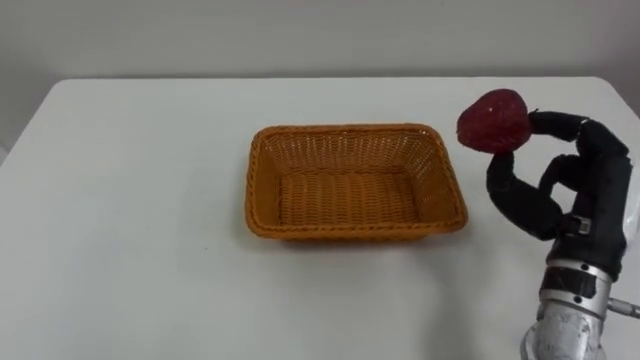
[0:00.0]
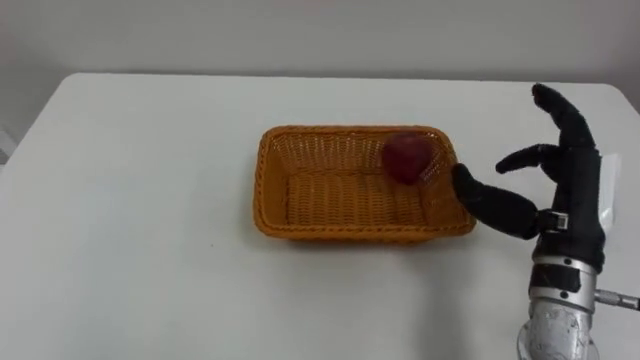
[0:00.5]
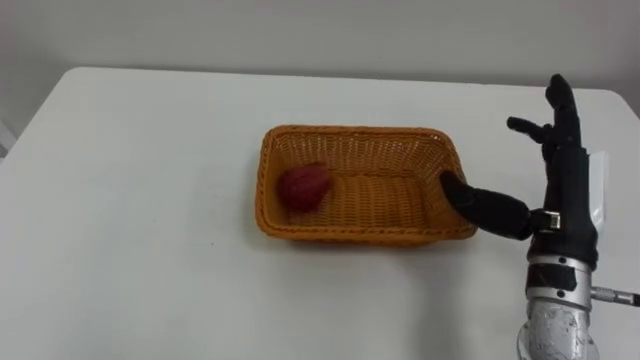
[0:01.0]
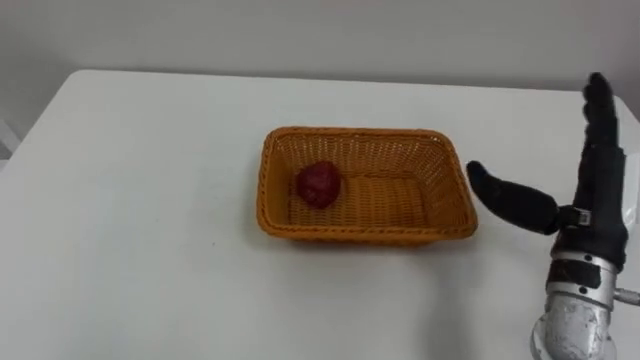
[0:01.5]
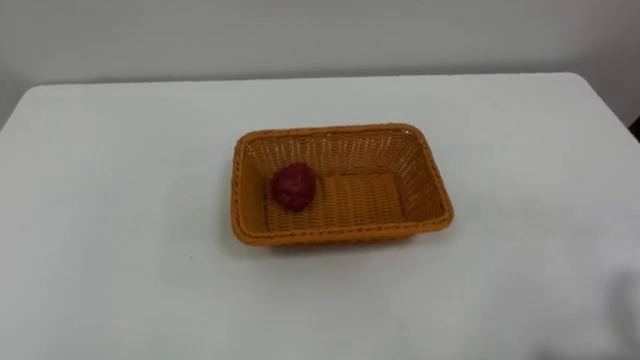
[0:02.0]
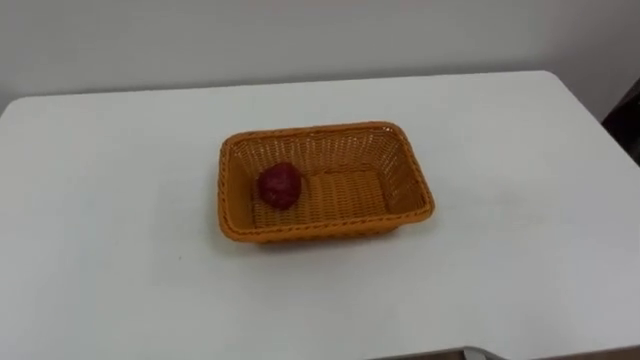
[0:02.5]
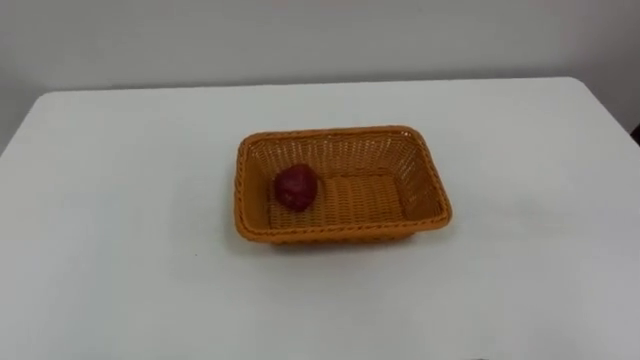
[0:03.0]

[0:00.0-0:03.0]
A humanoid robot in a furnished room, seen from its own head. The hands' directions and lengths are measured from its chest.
Task of the whole recording: Pick the apple and place it in the box.
0:00.0 to 0:01.5: The right hand opens up.
